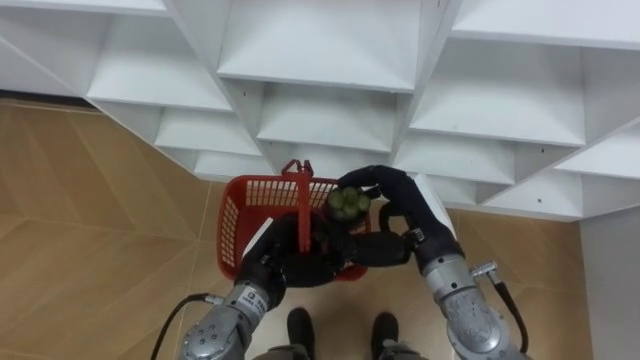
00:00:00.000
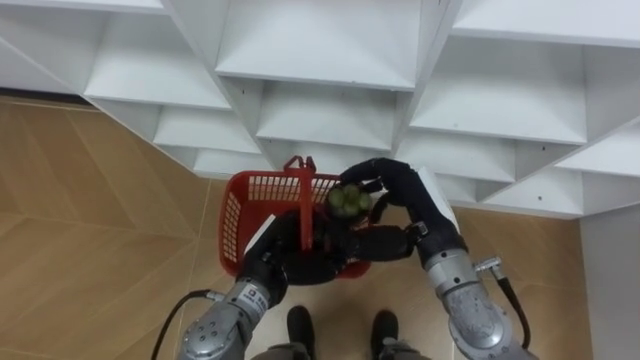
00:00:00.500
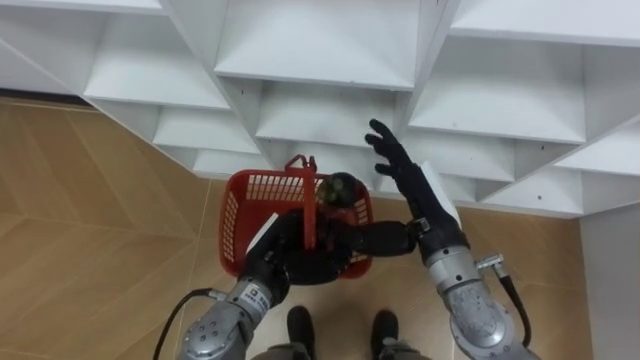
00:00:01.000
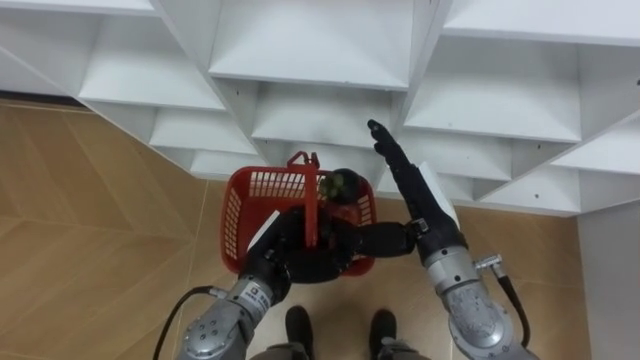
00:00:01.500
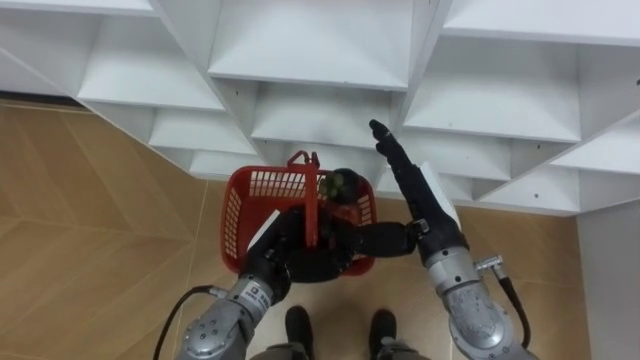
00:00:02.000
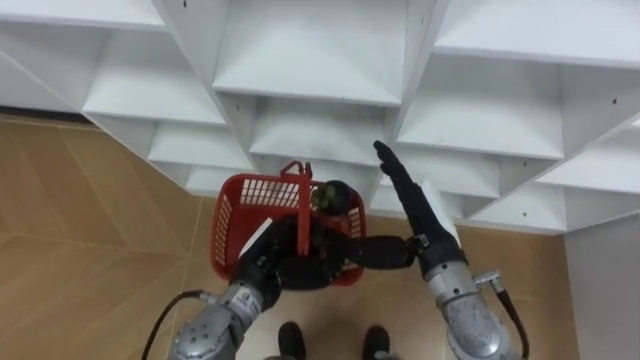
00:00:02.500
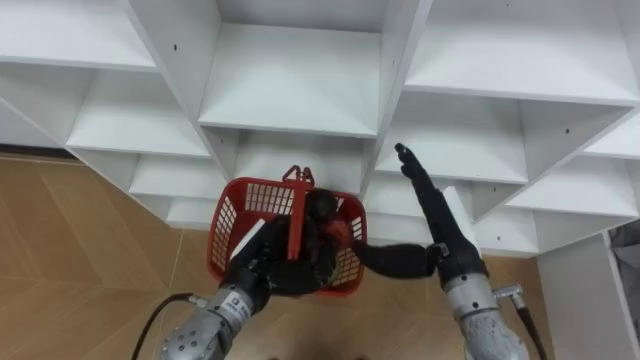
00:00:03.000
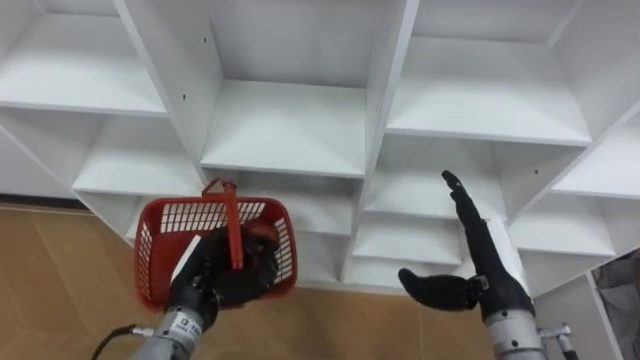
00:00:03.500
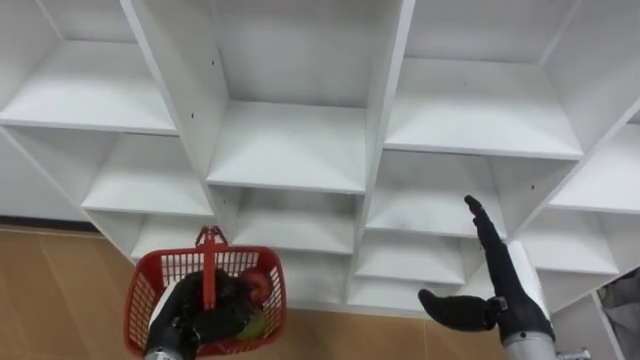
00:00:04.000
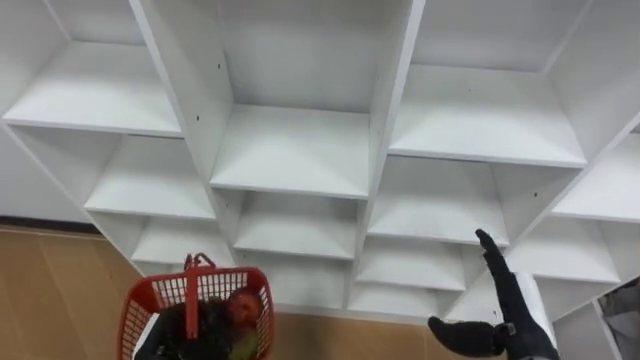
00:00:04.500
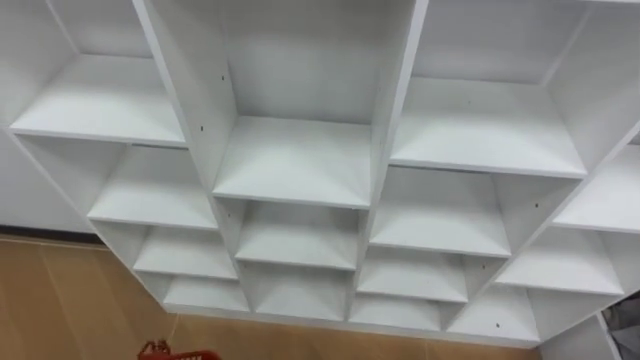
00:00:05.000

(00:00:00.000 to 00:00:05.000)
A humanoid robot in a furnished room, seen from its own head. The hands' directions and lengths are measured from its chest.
Task of the whole recording: Hold the basket and collect the fruits from 3 different cells of the closet into it.
00:00:00.000 - 00:00:02.500: The right hand opens up.

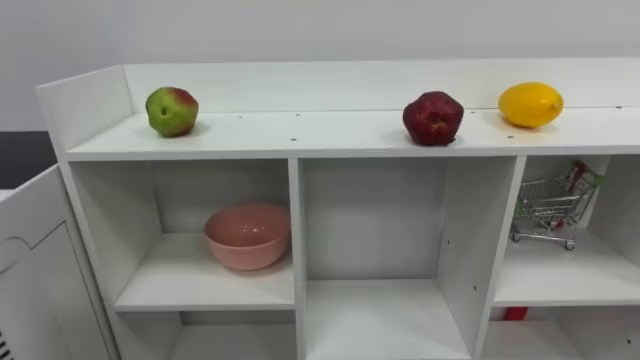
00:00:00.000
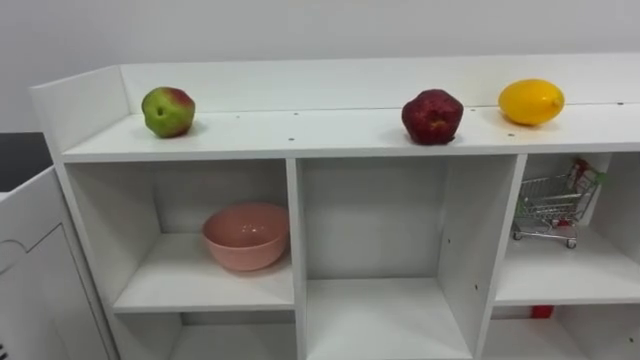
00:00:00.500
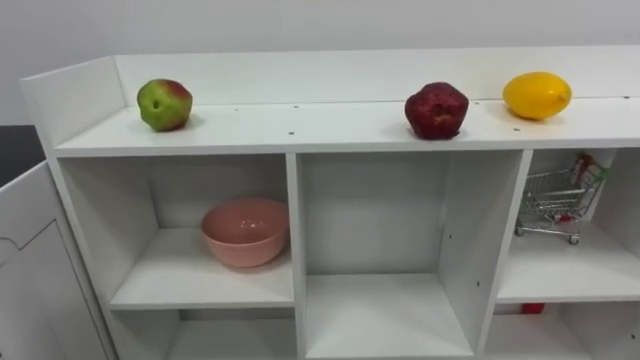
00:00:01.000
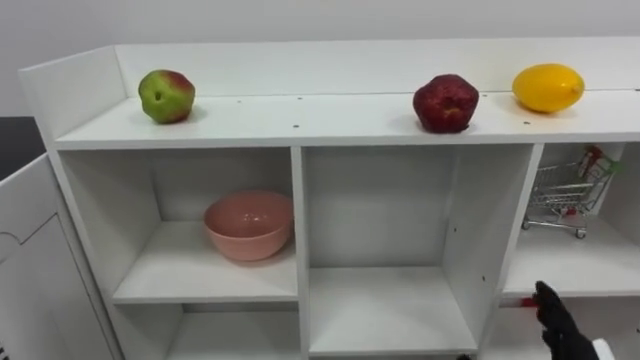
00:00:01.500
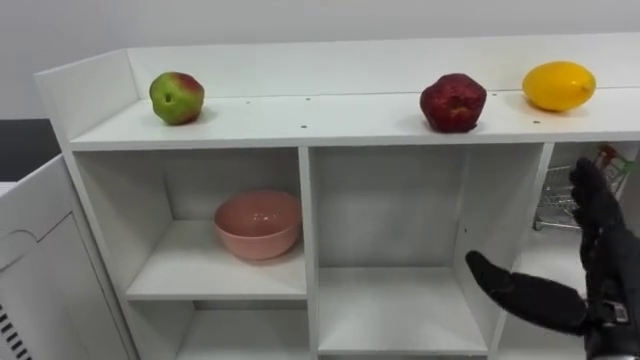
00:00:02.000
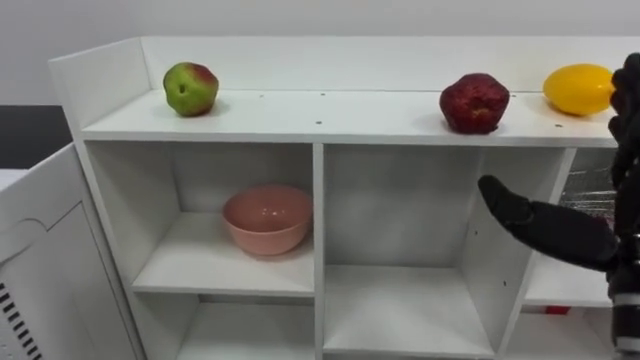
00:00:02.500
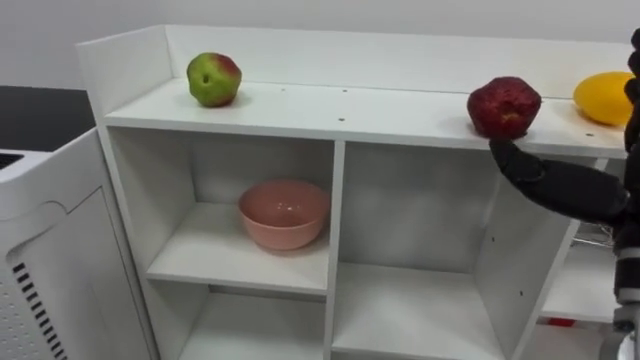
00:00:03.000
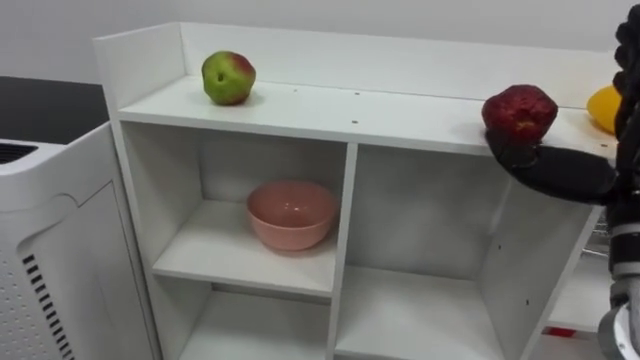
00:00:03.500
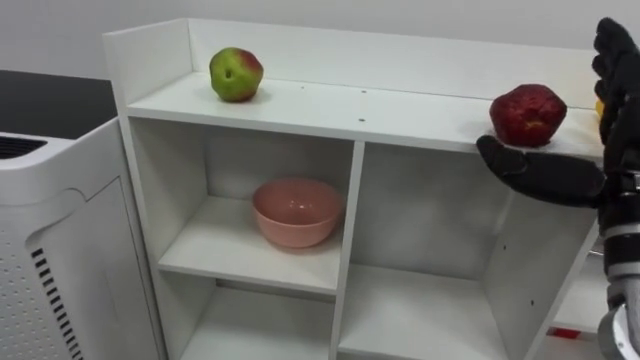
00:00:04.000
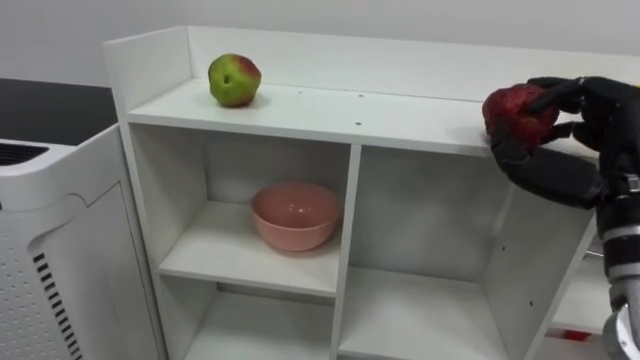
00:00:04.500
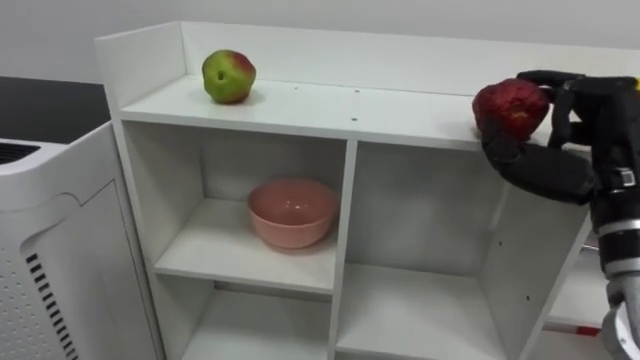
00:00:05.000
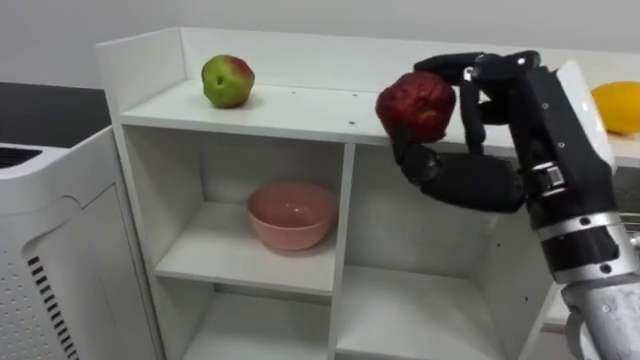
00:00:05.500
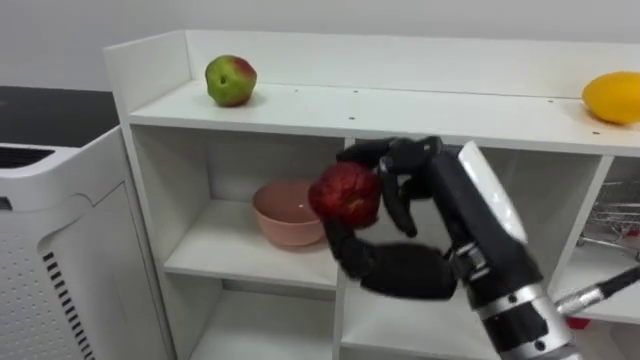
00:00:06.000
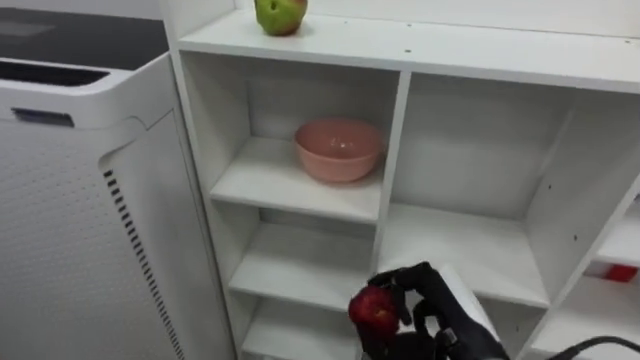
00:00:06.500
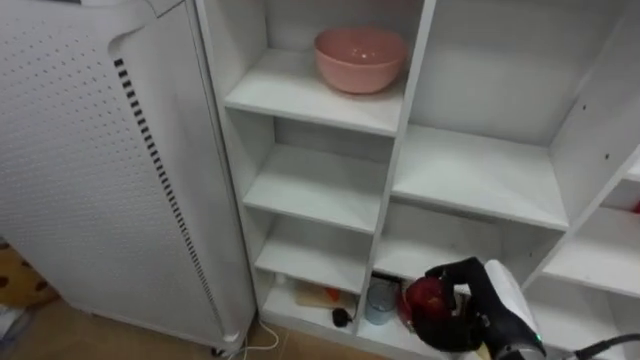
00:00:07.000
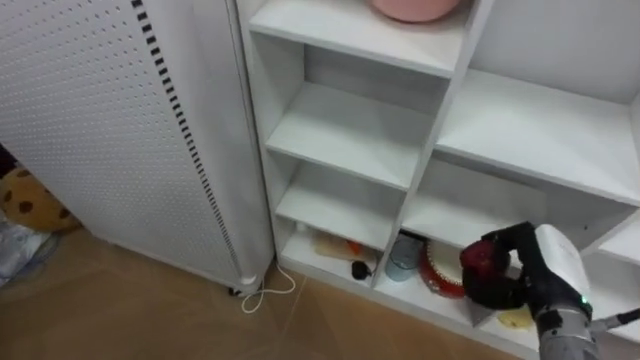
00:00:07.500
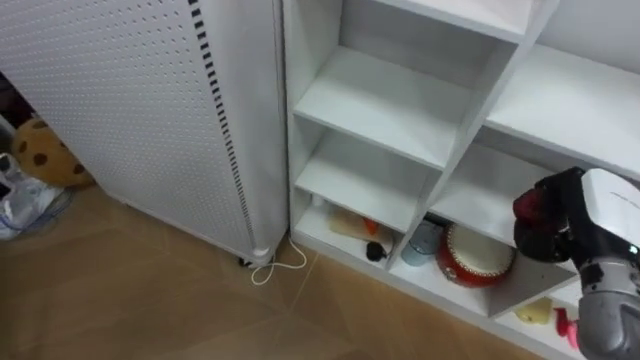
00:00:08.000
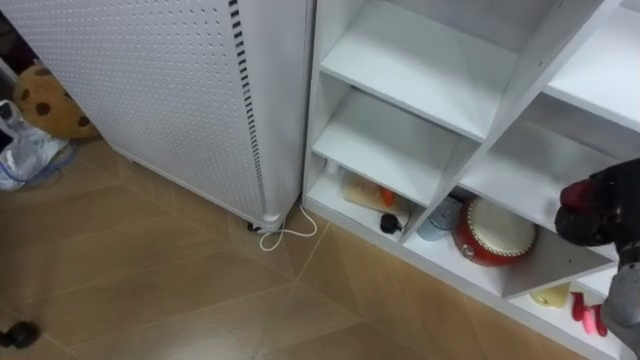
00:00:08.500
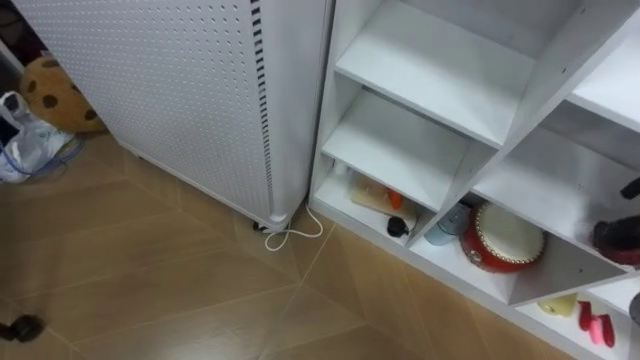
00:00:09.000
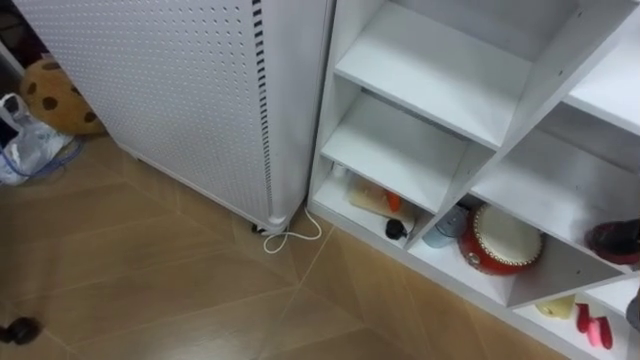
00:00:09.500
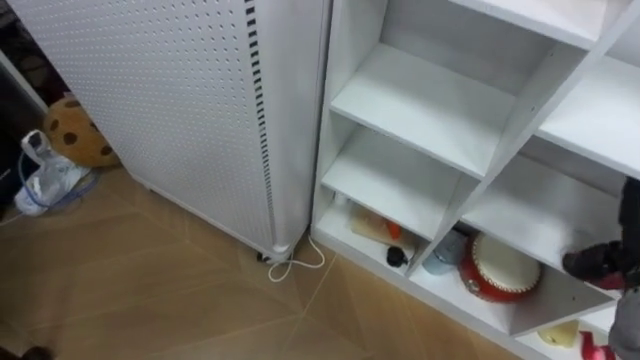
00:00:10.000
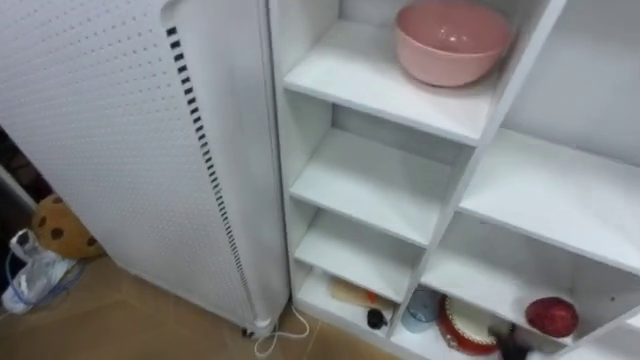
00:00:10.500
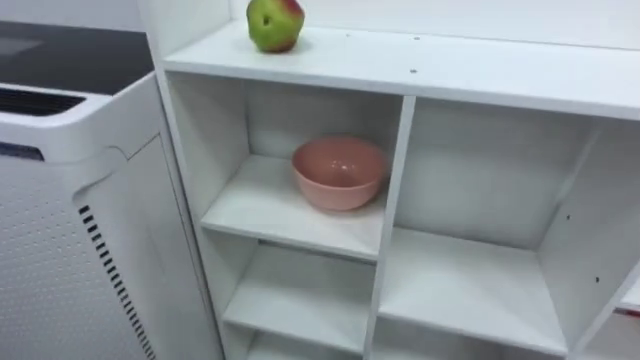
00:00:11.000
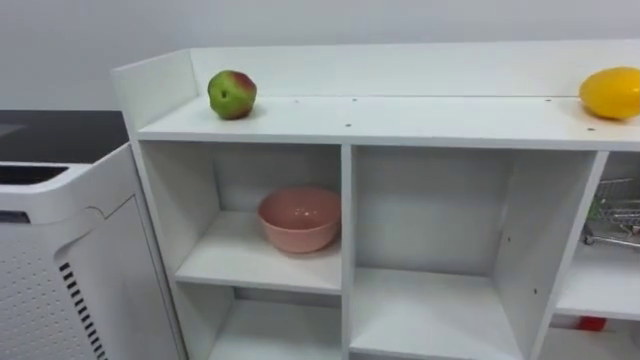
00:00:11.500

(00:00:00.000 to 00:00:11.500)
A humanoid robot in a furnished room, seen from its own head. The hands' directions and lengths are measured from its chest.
Task of the whole recording: Put the apple in the cell in the second column from the left and the second row from the top.
00:00:04.000 - 00:00:06.000: The right hand goes roughly 15 cm to the left, and closes its fingers.
00:00:06.000 - 00:00:07.500: The right hand shifts about 25 cm downward, to the right and forward.

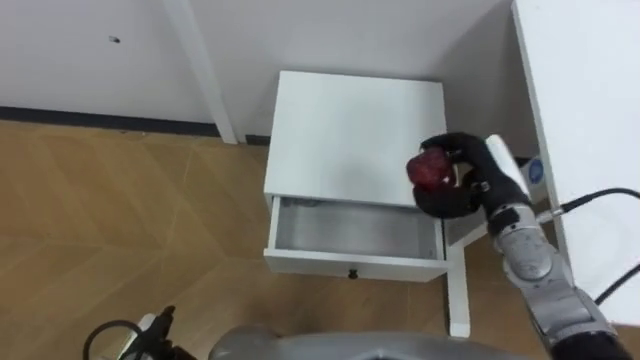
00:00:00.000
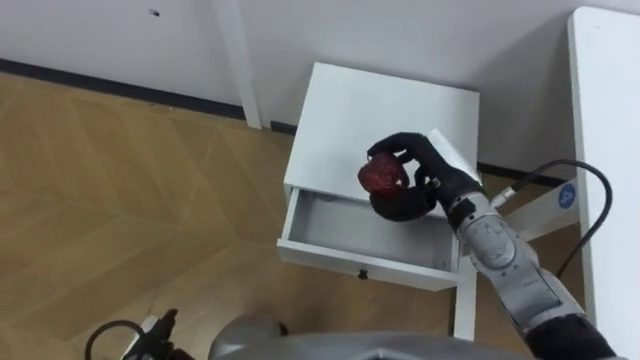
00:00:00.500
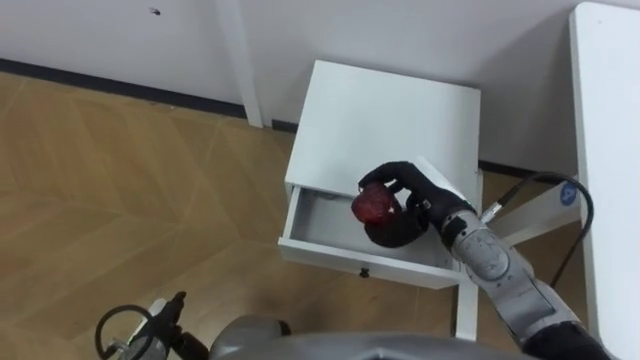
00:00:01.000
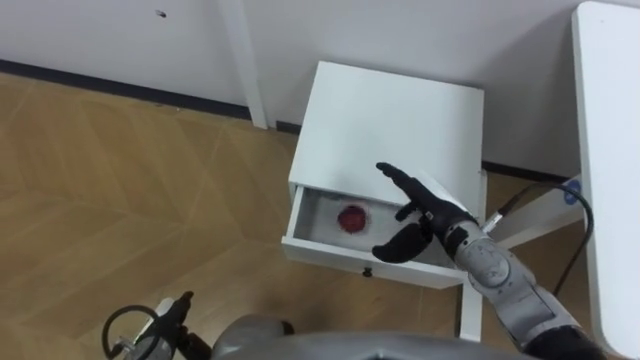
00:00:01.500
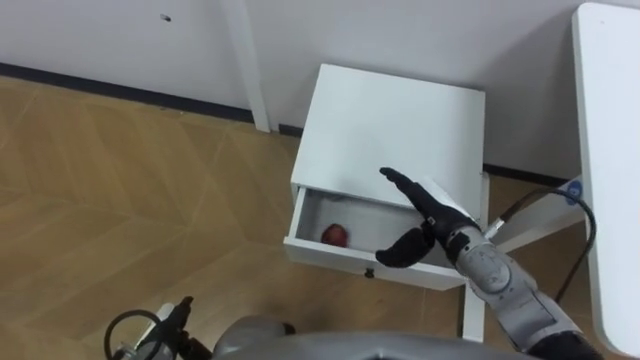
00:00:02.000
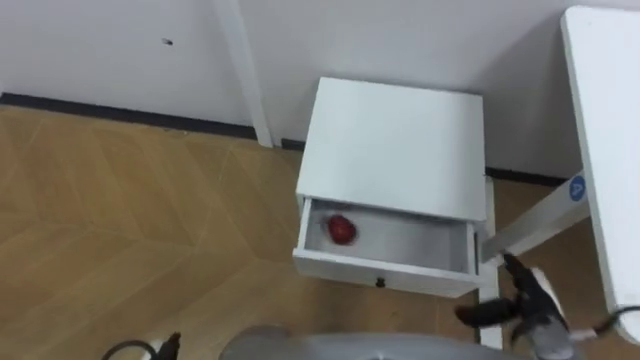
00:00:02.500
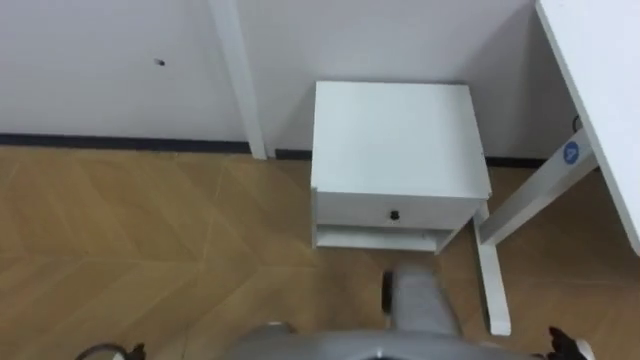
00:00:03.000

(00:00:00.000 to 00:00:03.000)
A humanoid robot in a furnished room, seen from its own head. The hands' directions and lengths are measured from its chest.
Task of the whole recording: Pick up the apple from the table, put it in the drawer, and close the drawer with leg.
00:00:00.000 - 00:00:01.500: The right hand travels to the left by about 5 cm, and opens.
